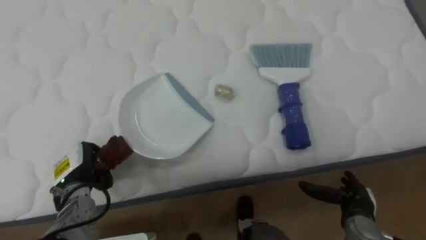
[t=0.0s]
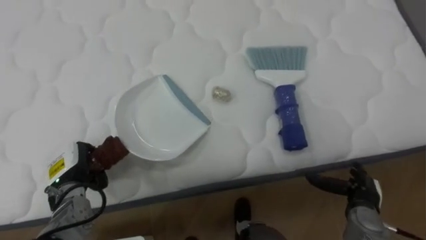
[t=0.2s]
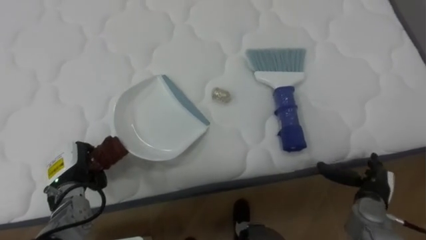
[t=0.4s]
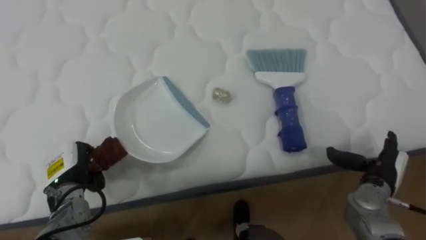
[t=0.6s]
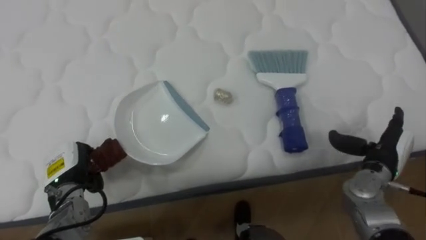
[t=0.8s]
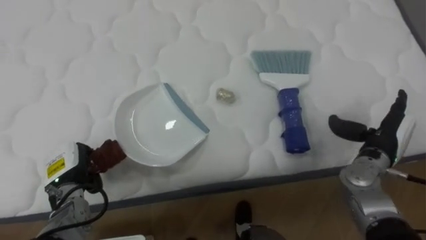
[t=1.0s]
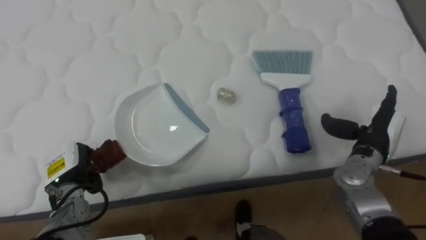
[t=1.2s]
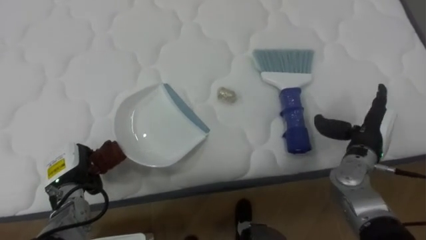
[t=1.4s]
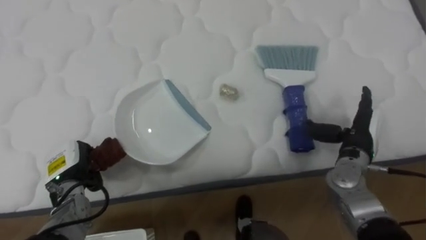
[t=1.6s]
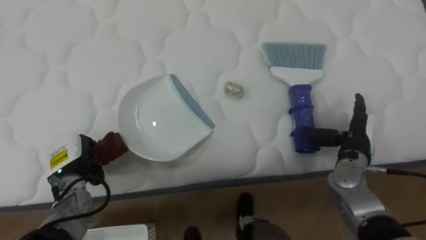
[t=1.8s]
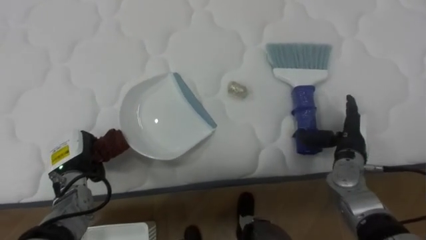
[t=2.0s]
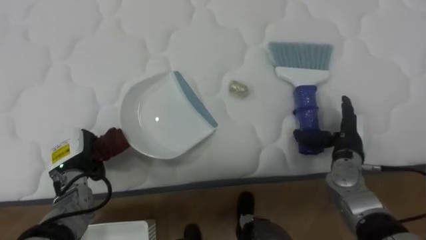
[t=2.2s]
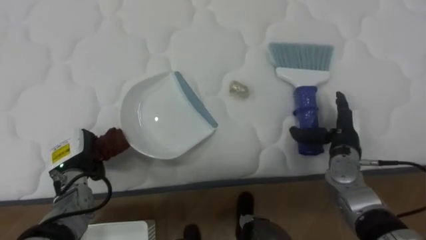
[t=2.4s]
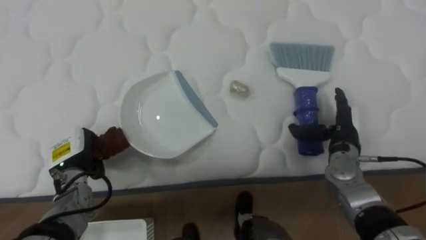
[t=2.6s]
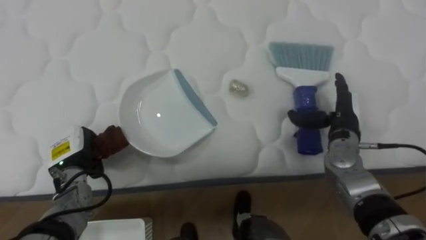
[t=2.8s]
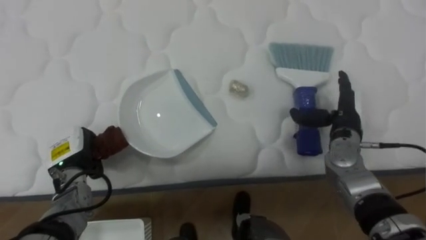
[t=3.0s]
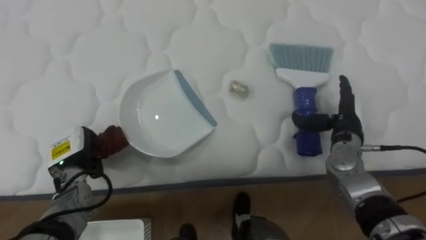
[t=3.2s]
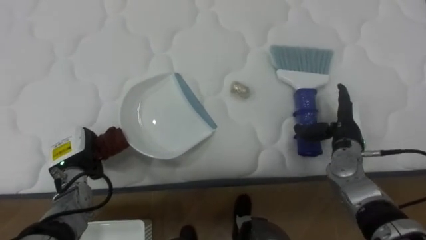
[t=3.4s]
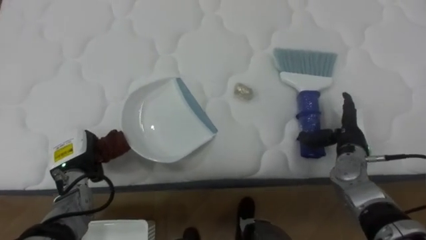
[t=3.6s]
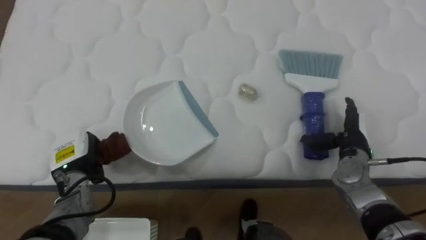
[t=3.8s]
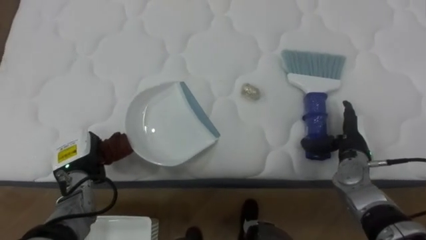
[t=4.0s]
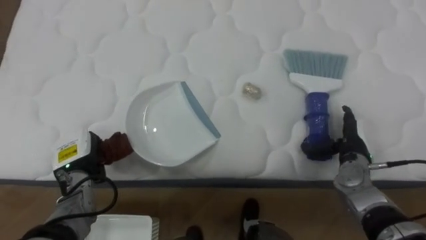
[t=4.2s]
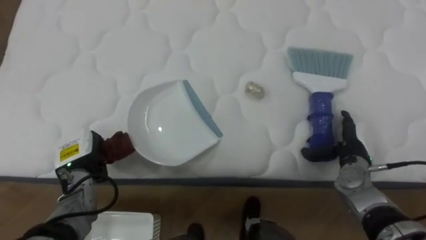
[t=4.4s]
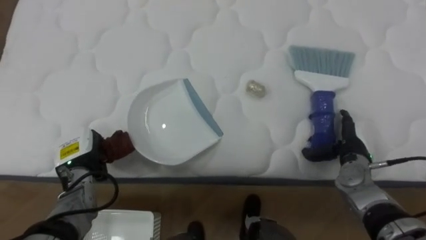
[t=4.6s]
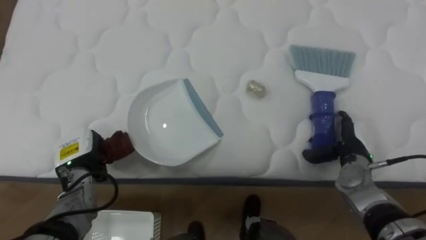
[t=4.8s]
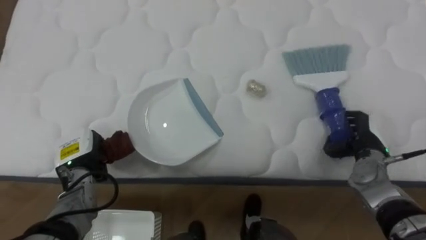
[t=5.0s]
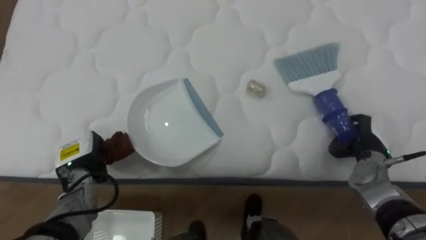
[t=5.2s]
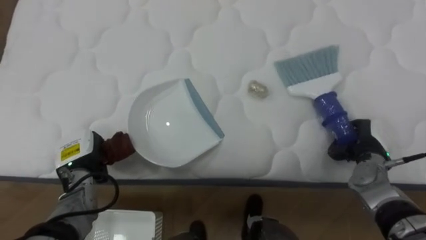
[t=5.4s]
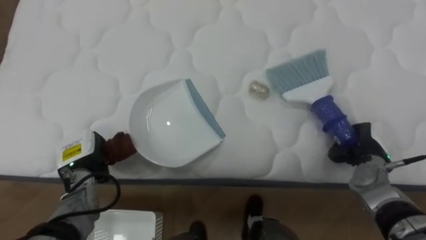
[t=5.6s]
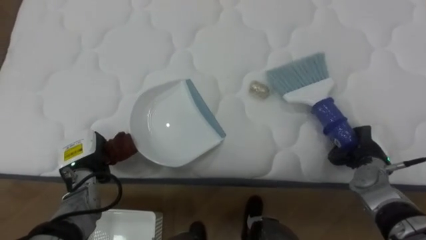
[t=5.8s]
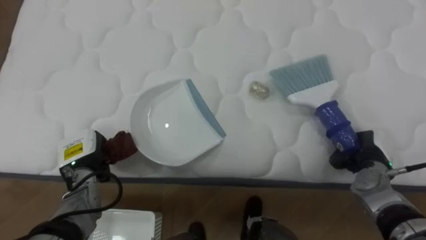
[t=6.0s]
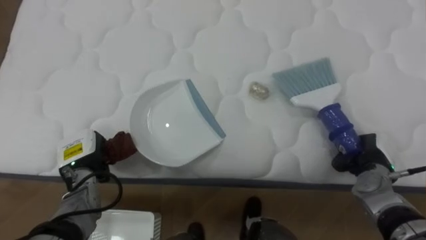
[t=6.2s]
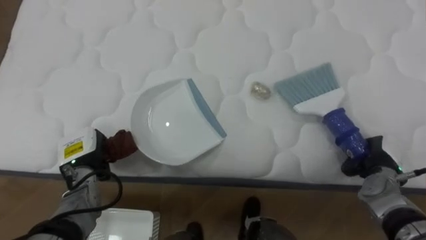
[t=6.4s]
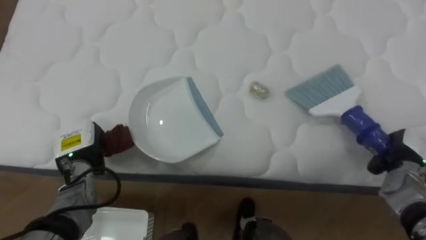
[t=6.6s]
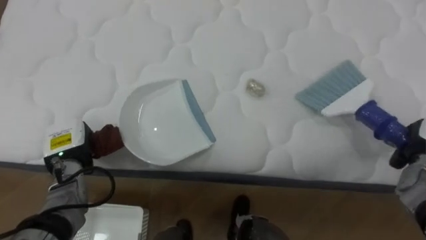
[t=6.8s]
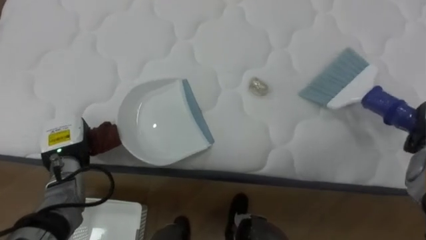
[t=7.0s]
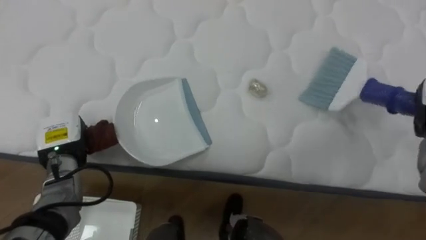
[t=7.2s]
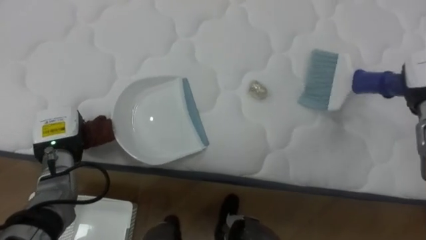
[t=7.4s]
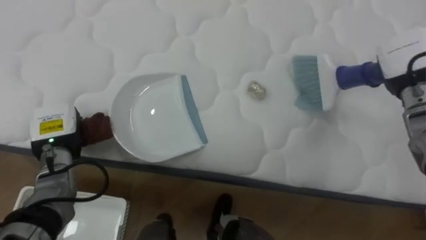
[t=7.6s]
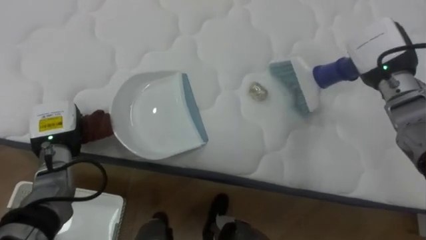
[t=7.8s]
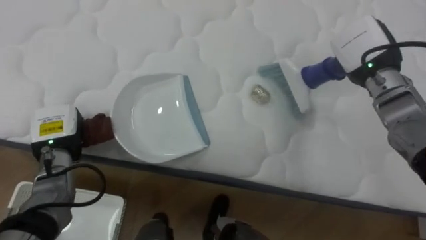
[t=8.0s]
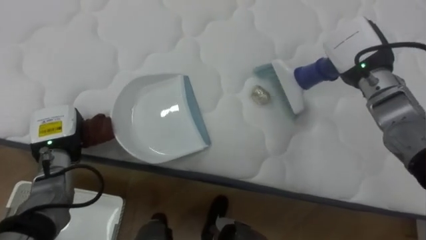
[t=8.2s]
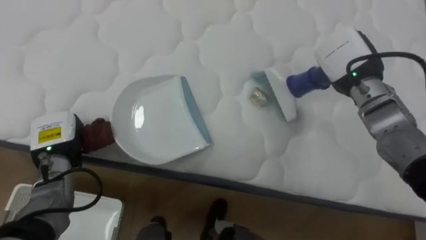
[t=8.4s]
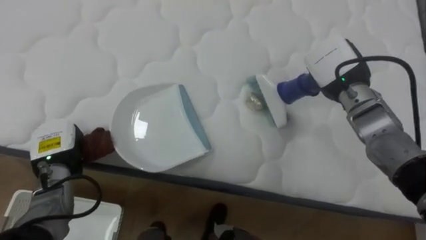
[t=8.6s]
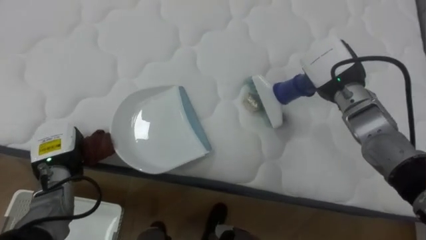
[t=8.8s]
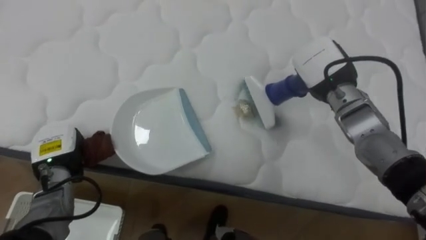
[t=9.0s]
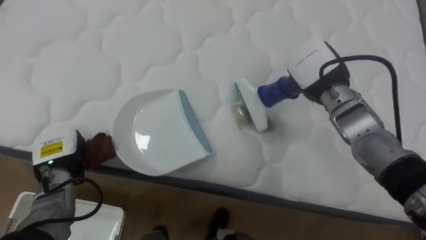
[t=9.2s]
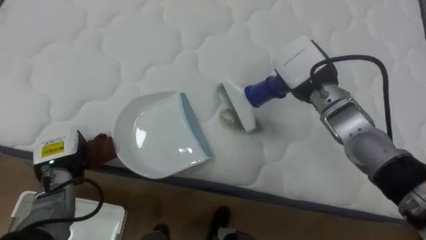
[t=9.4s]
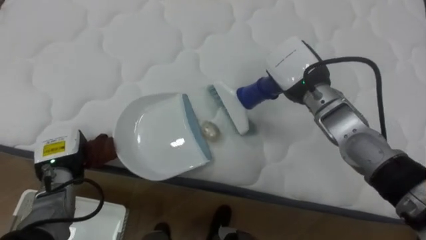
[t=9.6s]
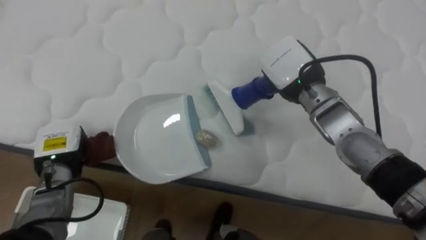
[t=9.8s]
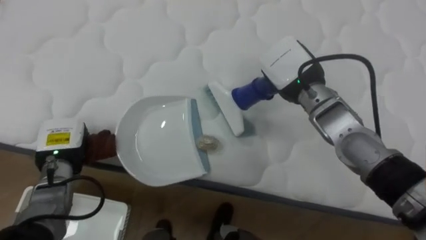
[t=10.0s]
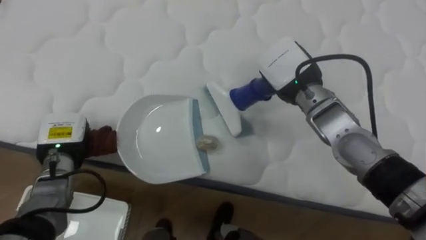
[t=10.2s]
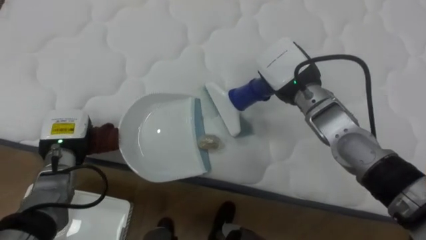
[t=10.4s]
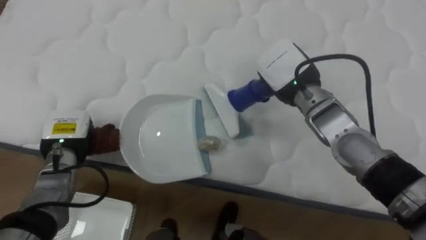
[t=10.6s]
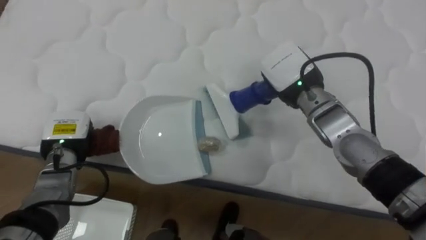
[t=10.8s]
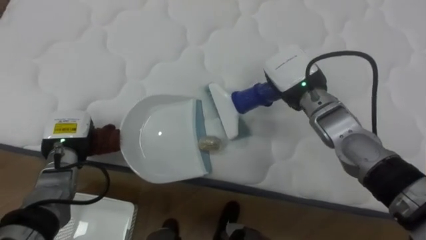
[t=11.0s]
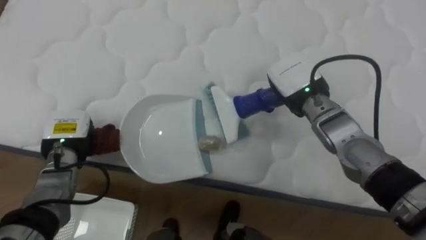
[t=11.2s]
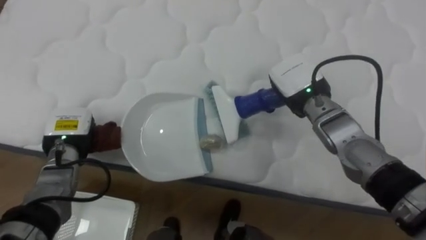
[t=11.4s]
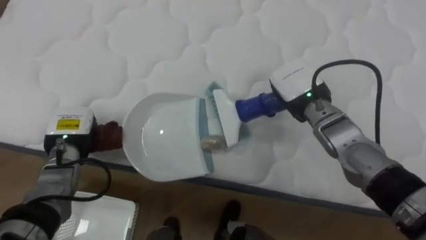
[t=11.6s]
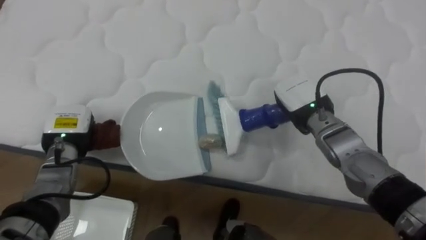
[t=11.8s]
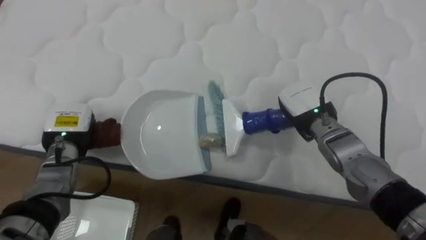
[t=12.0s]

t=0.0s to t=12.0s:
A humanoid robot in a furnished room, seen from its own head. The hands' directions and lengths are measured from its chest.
Task of the whole recording: Pick up the brush on your right and the dustpan on your left. Use the brush to sweep the crumpled paper on the bed into the dustpan, then turn left and empty it into the basket.
t=0.0s to t=1.6s: The right hand goes approximately 15 cm upward and forward.
t=3.0s to t=4.4s: The right hand is displaced downward by approximately 5 cm.
t=4.4s to t=6.0s: The right hand closes.
t=6.0s to t=7.6s: The left hand is displaced upward by some 5 cm.
t=7.6s to t=9.0s: The right hand shifts about 15 cm to the left.
t=9.0s to t=10.4s: The right hand is displaced to the left by some 5 cm.
t=10.4s to t=12.0s: The right hand shifts roughly 10 cm downward.

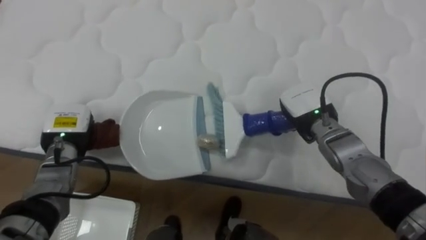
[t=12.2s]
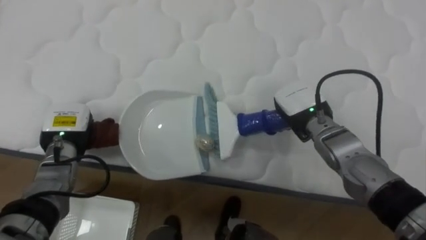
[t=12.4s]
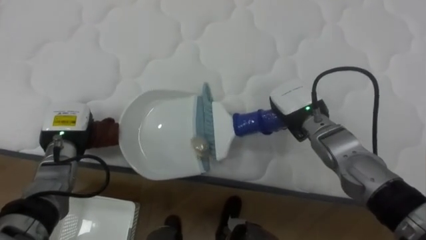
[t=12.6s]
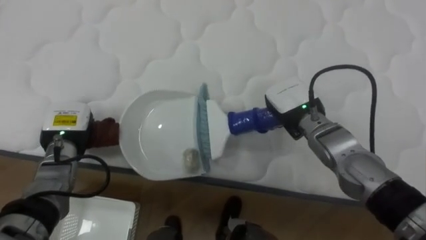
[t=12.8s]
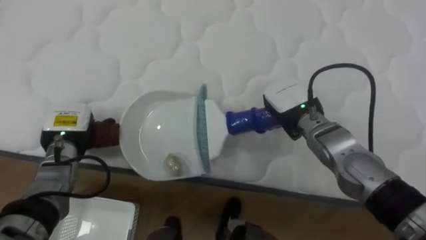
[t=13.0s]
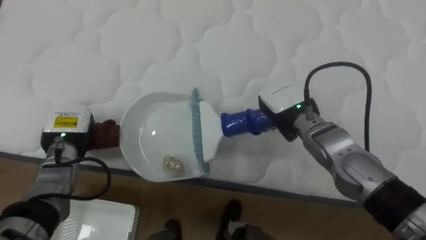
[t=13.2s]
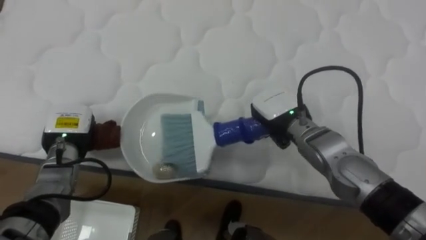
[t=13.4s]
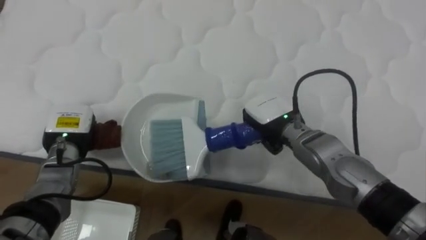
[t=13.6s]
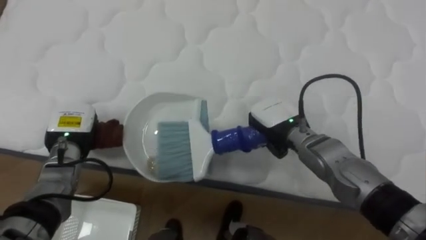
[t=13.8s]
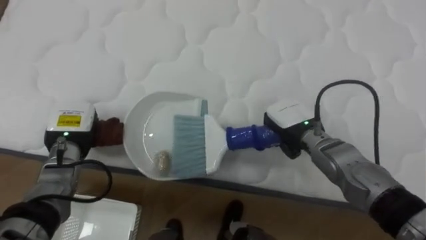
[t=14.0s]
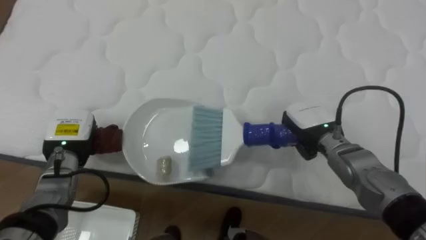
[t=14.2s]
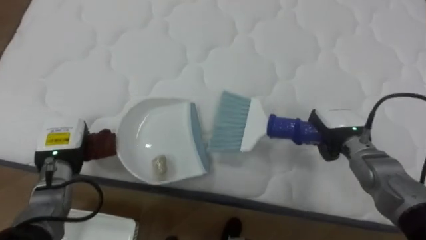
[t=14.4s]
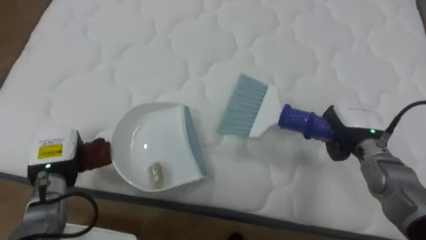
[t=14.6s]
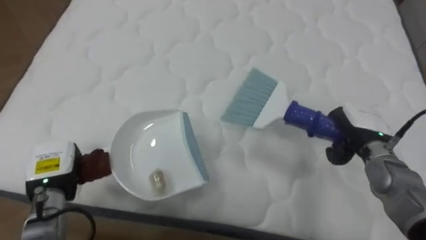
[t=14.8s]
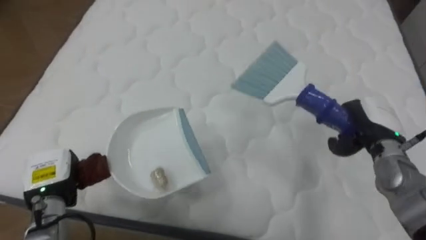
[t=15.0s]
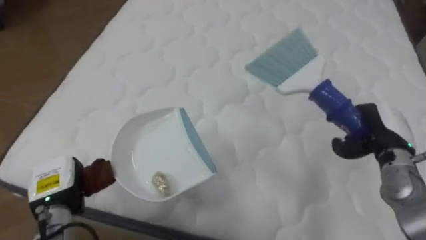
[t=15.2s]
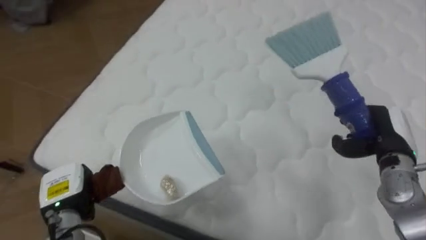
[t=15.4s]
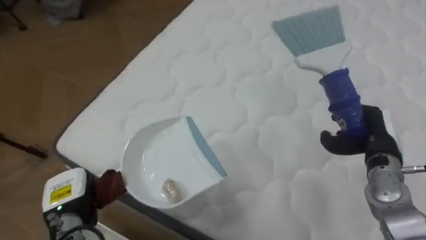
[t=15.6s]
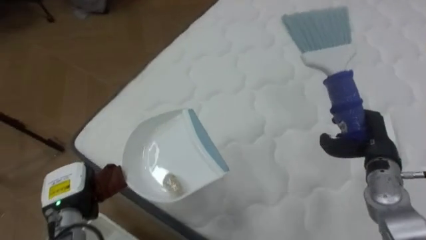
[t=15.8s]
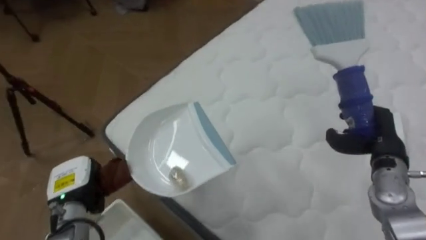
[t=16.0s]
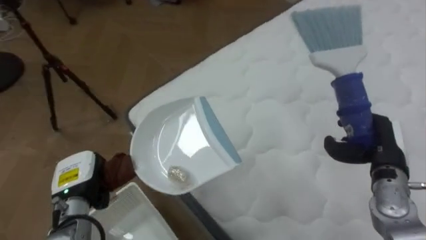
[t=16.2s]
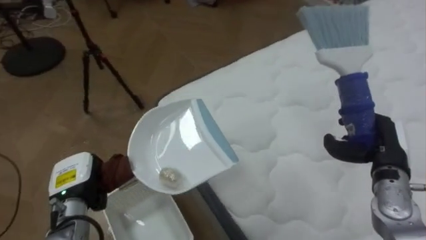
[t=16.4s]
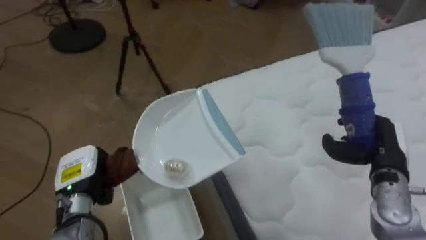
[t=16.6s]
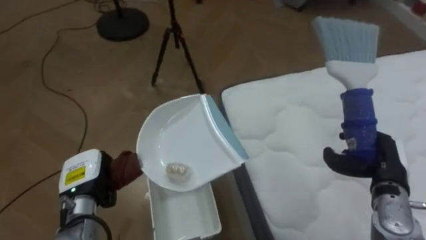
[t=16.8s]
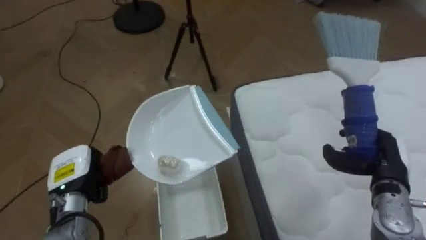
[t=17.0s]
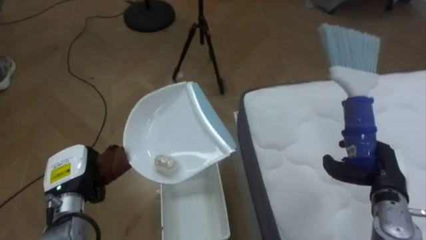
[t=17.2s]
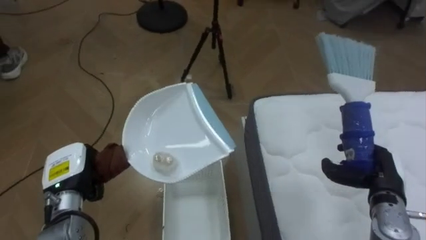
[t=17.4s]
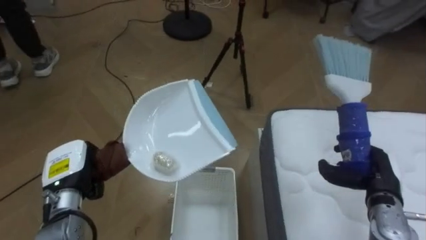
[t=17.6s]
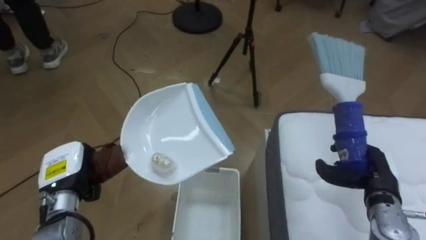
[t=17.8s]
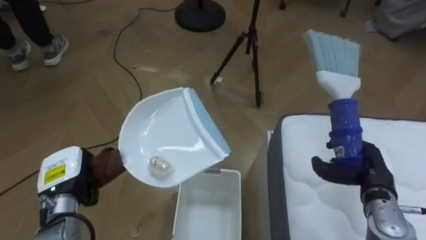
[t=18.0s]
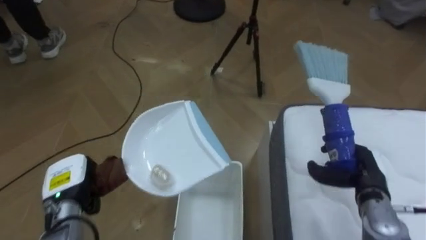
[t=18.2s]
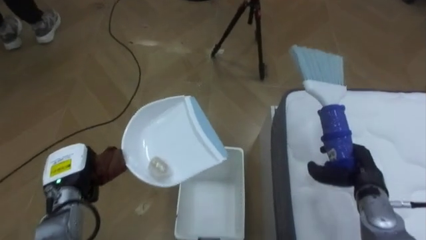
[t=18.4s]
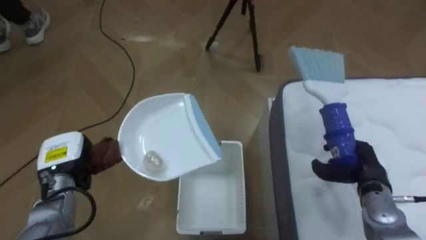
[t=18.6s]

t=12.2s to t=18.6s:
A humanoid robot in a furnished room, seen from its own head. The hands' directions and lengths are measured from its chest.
Task of the whole recording: Pick up the brush on your right and the dustpan on your left. Use the brush to sweep the crumpled paper on the bed into the dustpan, then turn left and empty it into the basket.
t=12.2s to t=13.8s: The right hand is displaced to the left by about 5 cm.
t=13.8s to t=15.4s: The robot's body swings about 15 degrees to its left. The left hand shifts approximately 15 cm backward and downward. Meanwhile the right hand moves to the right, some 20 cm.
t=15.4s to t=17.0s: The robot's body swings some 60 degrees to its left. The right hand shifts by some 5 cm.
t=17.0s to t=18.6s: The robot faces approximately 15 degrees further to its left. The right hand ends up some 5 cm from where it was.
